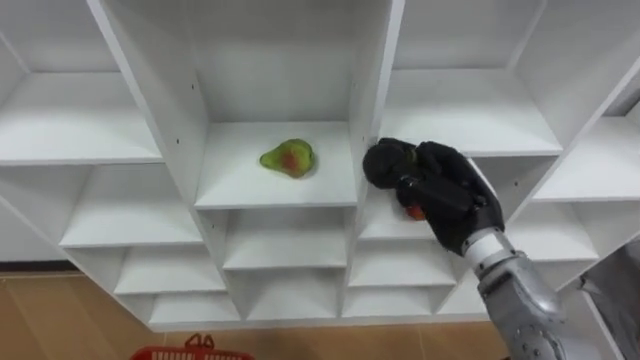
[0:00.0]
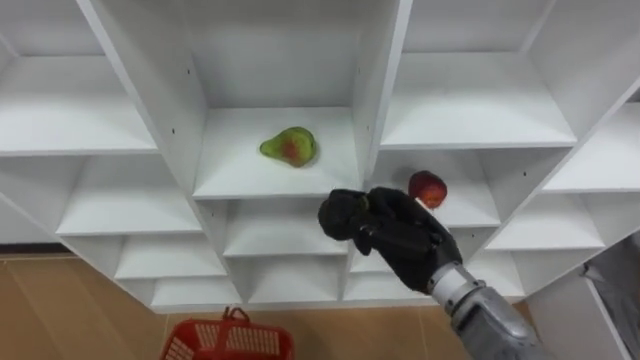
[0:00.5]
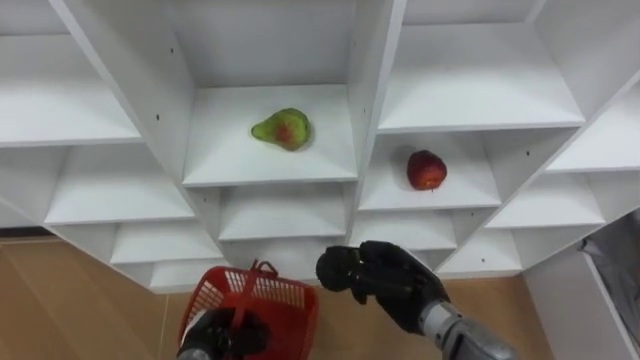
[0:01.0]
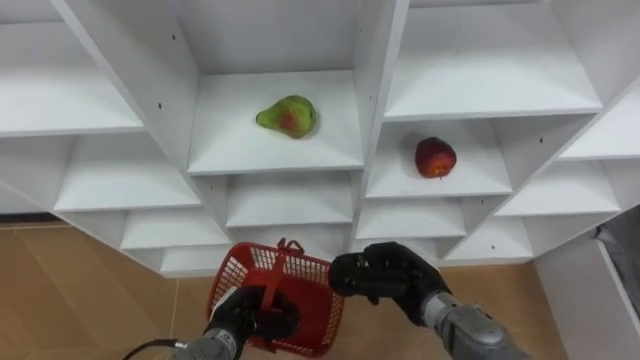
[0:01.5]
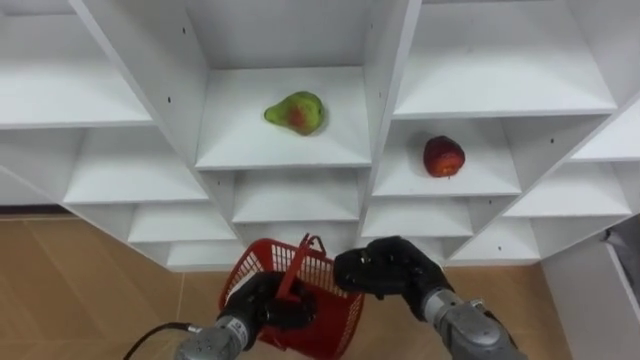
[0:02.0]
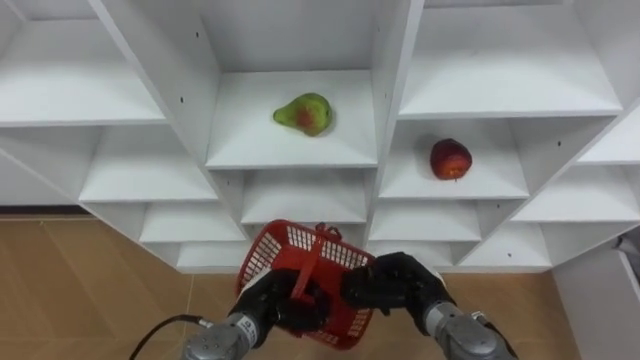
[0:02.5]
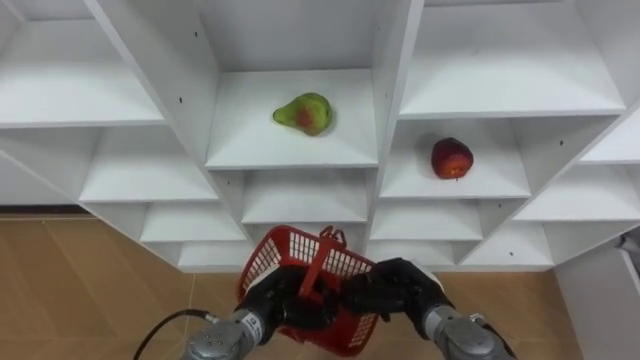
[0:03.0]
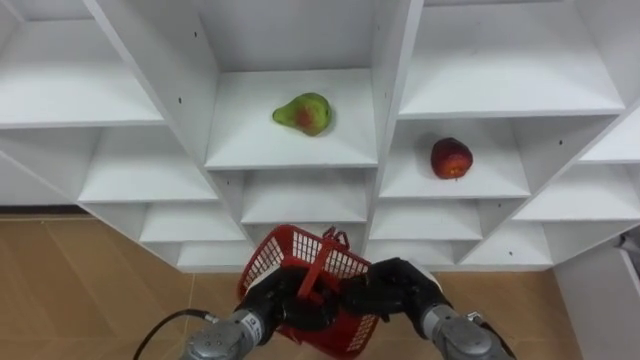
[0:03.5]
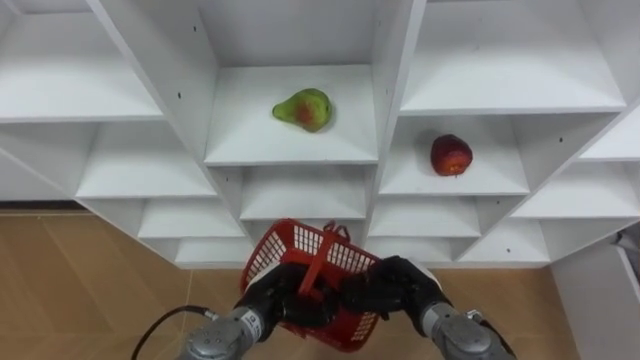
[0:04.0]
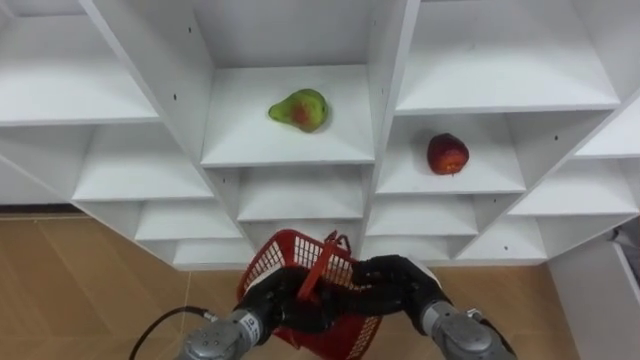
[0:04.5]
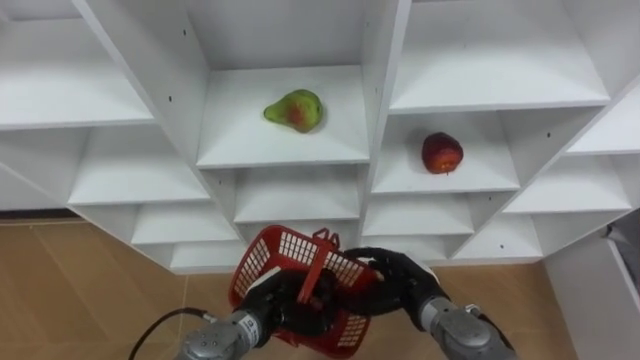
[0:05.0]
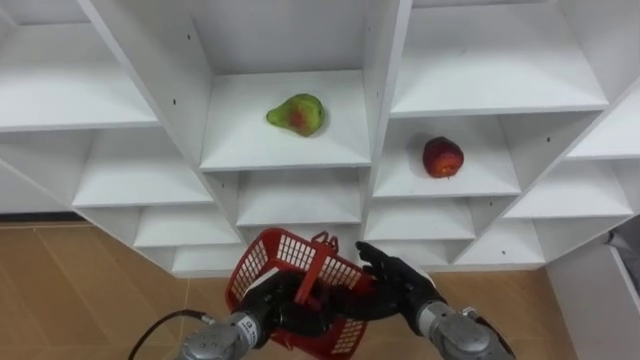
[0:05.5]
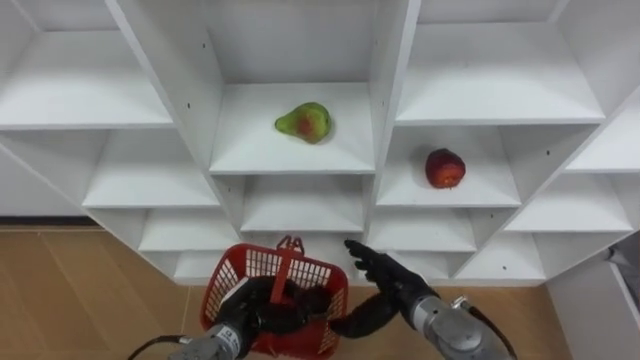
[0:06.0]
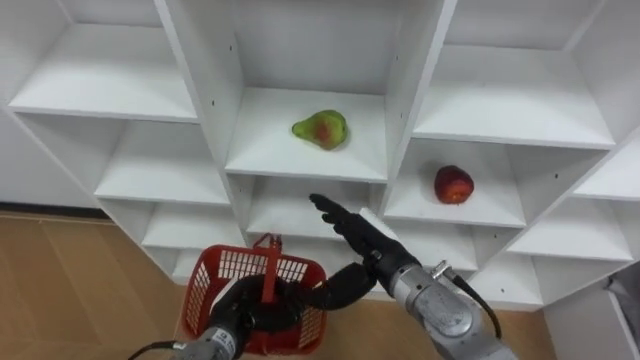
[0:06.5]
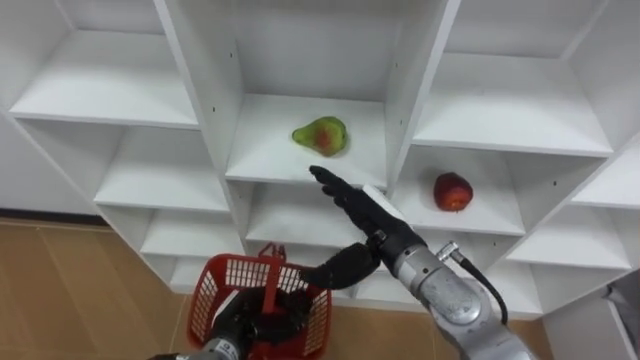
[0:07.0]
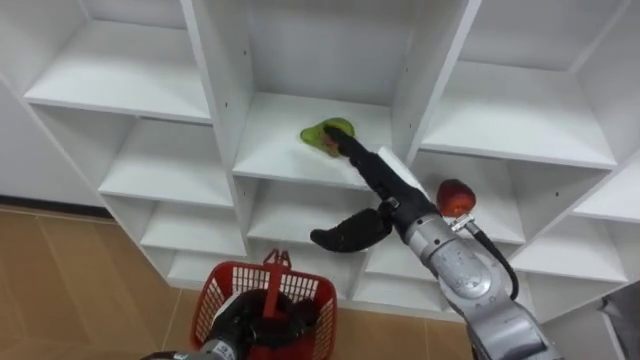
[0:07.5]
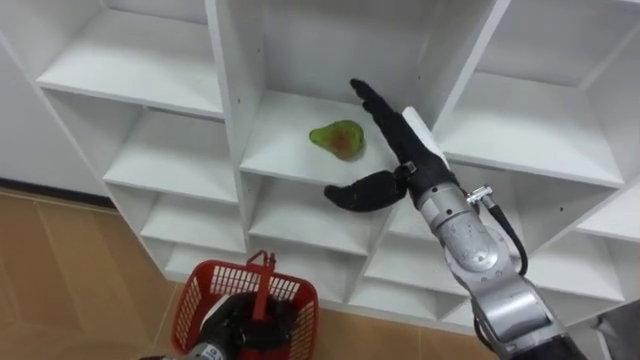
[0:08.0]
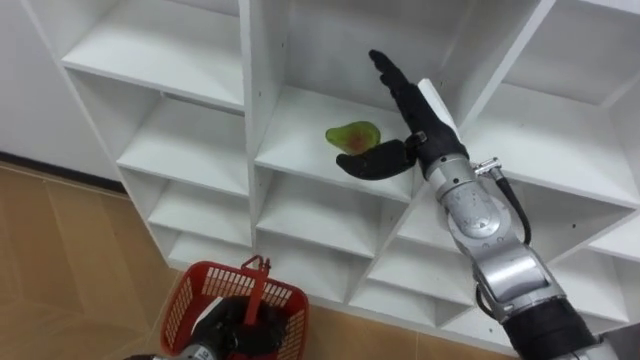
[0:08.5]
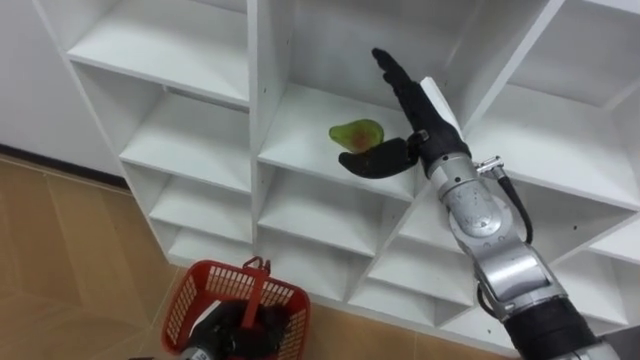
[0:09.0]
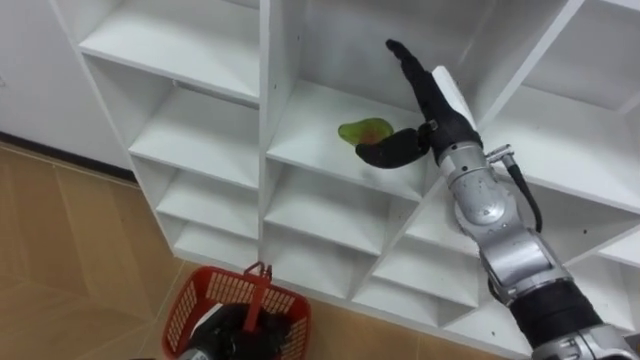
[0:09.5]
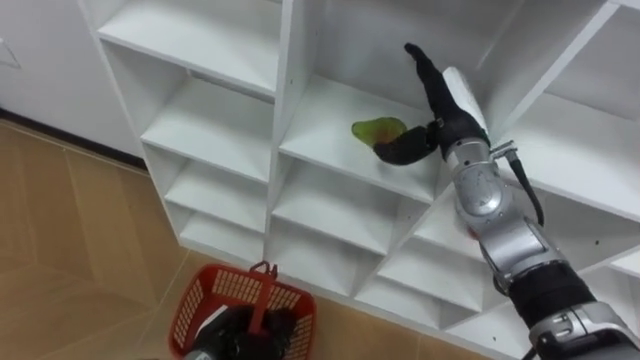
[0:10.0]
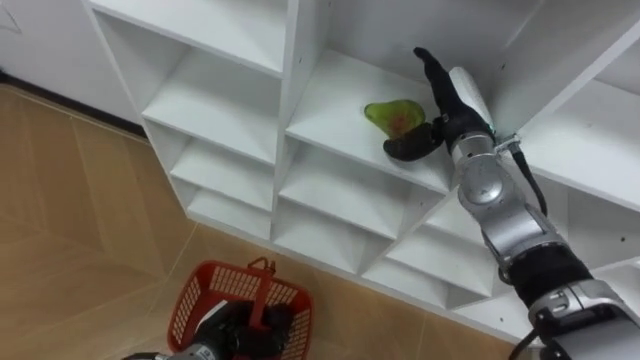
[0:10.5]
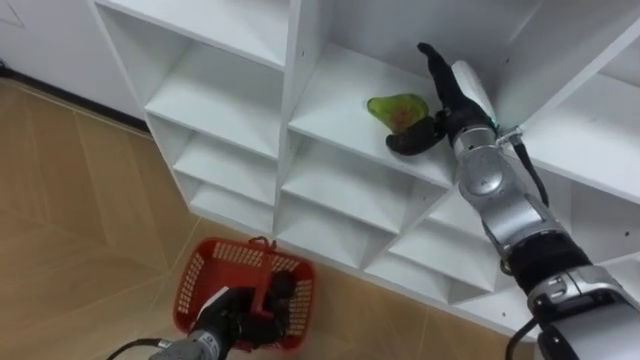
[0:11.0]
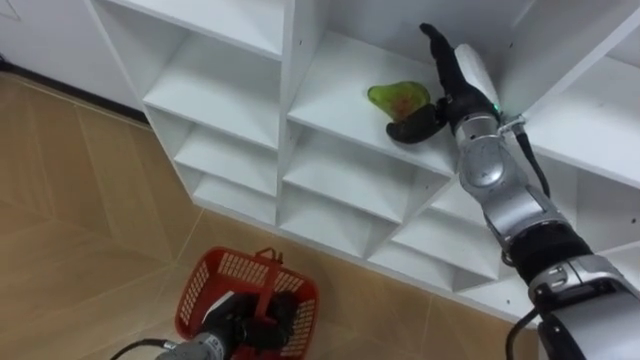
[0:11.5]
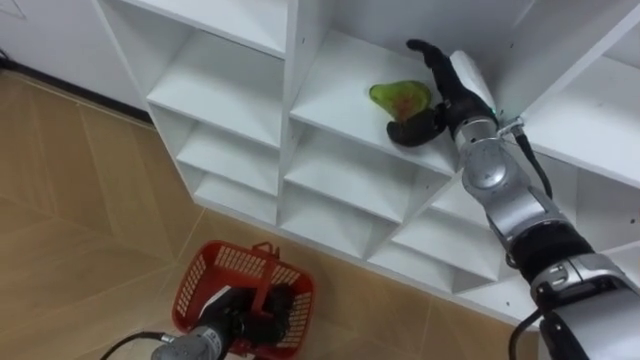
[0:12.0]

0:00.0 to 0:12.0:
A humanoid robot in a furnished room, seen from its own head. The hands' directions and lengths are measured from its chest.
Task of the whole recording: Hold the basket and collect the fruits from 3 different cells of the closet into it.
0:00.0 to 0:02.0: The right hand travels downward by some 15 cm.
0:02.0 to 0:04.0: The hands move only a little.
0:04.0 to 0:06.0: The right hand opens its fingers.
0:06.0 to 0:08.0: The right hand is displaced upward and forward by about 20 cm.
0:08.0 to 0:10.0: The right hand is displaced forward by roughly 5 cm.

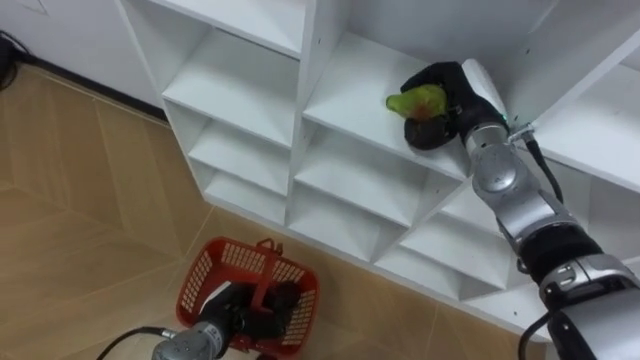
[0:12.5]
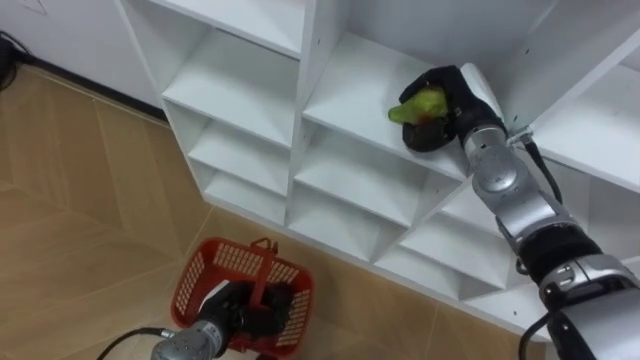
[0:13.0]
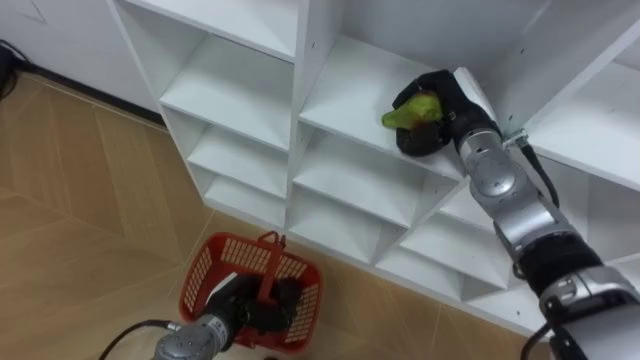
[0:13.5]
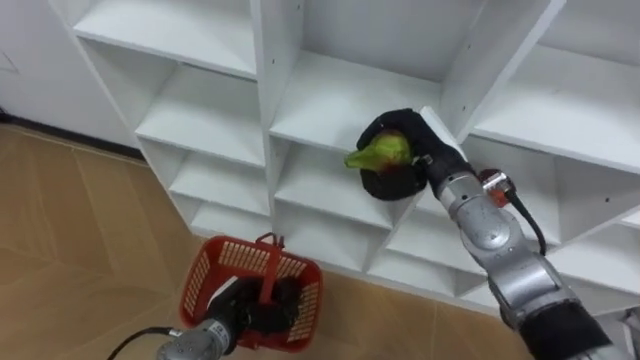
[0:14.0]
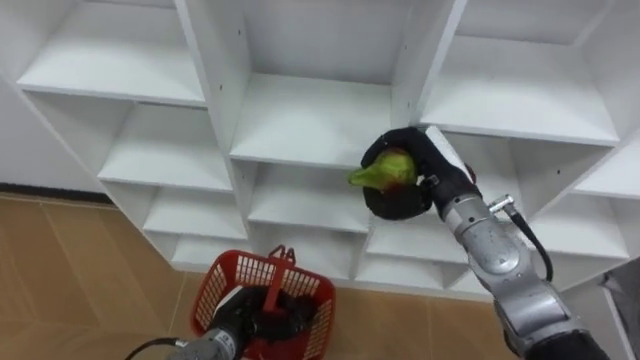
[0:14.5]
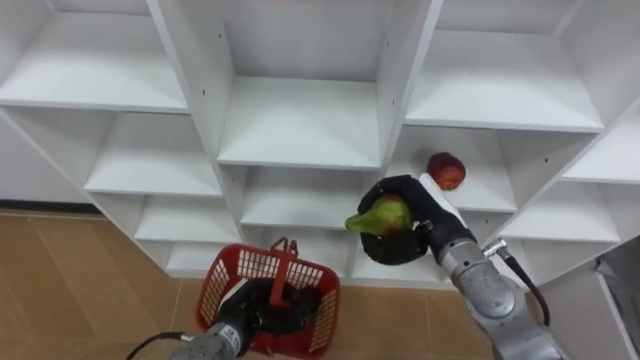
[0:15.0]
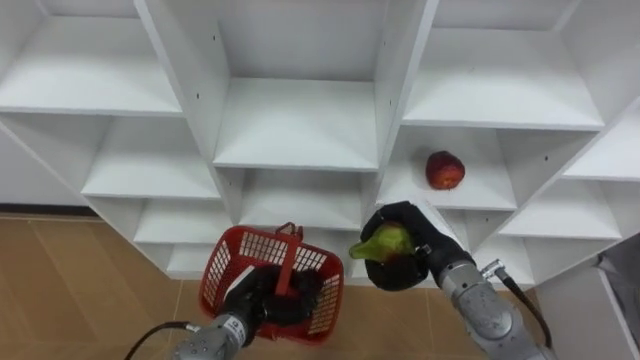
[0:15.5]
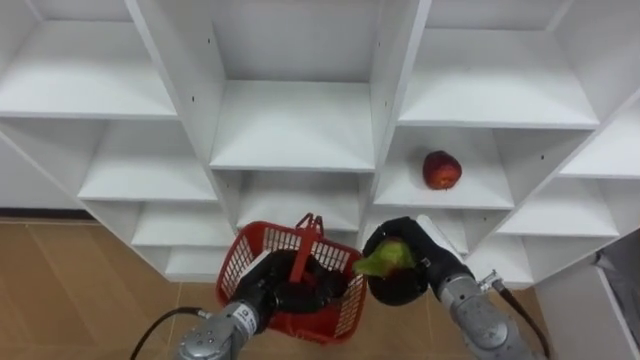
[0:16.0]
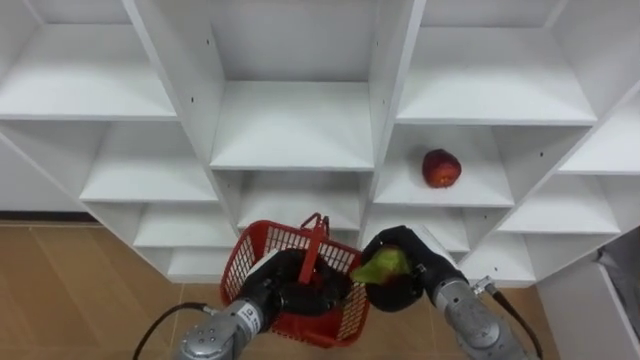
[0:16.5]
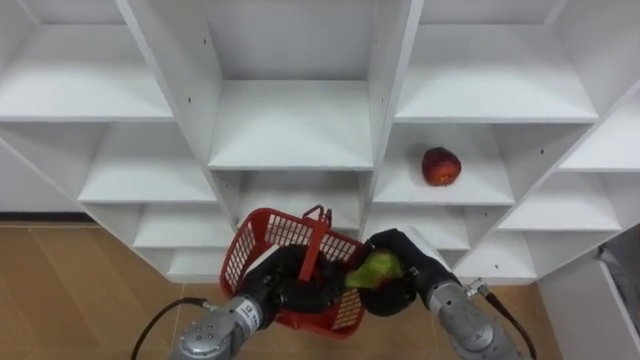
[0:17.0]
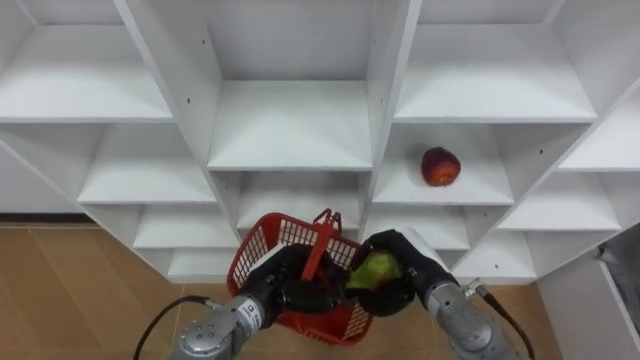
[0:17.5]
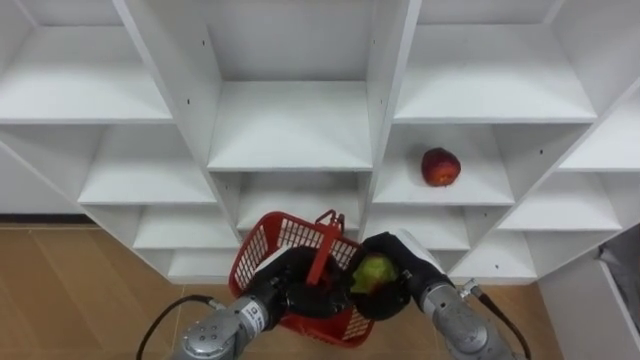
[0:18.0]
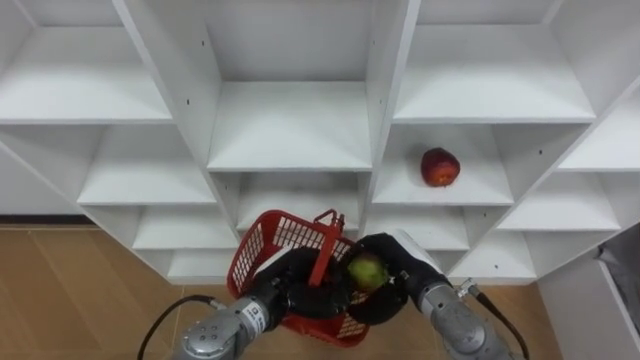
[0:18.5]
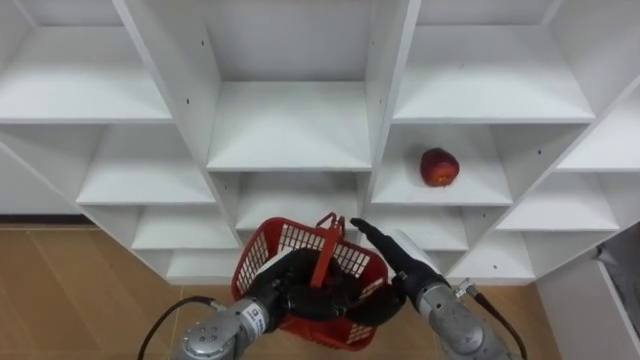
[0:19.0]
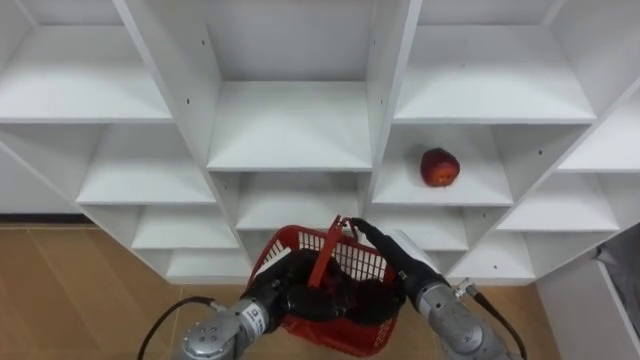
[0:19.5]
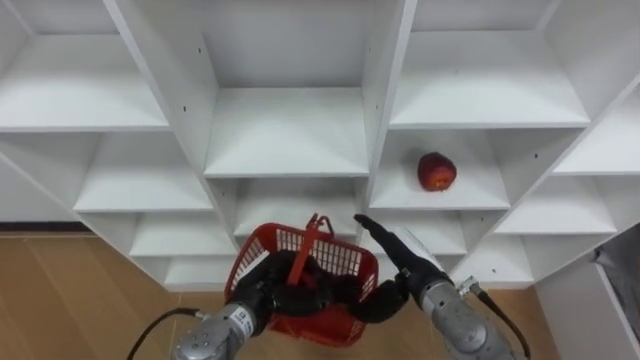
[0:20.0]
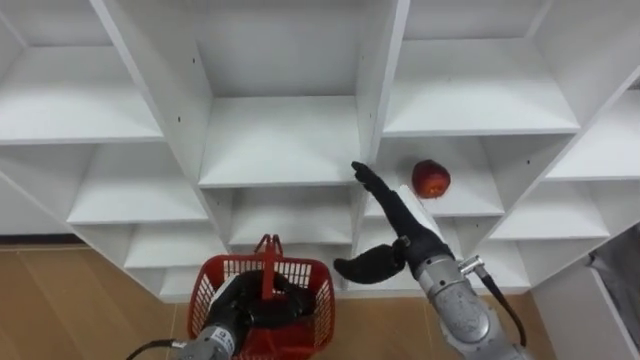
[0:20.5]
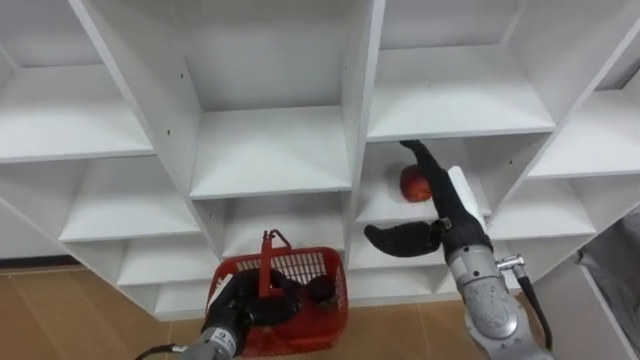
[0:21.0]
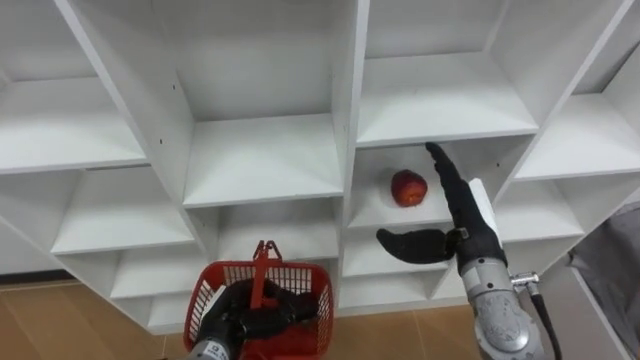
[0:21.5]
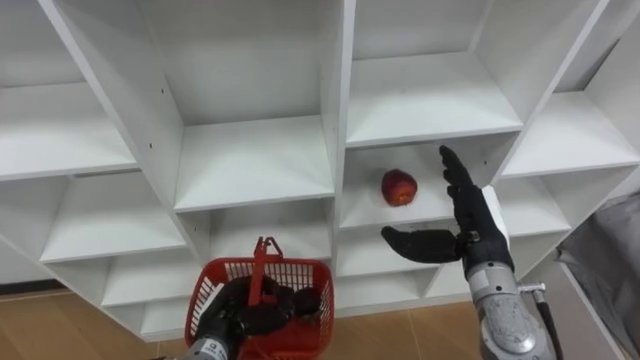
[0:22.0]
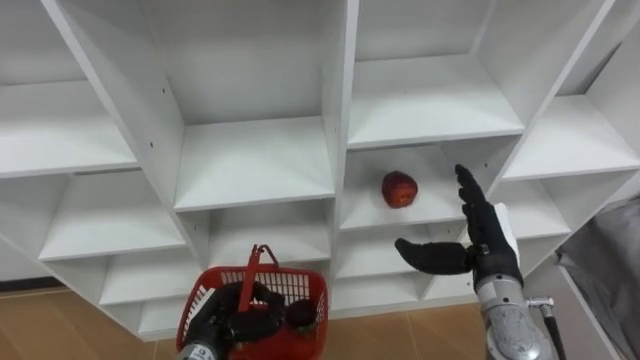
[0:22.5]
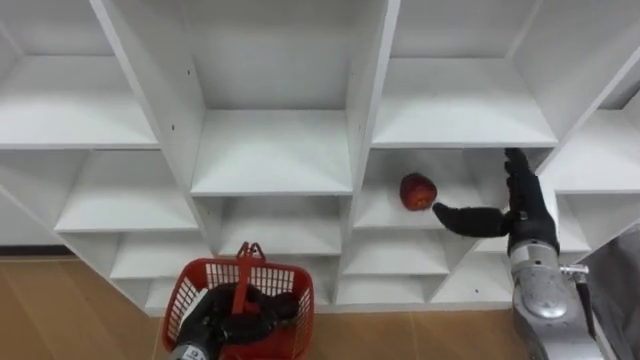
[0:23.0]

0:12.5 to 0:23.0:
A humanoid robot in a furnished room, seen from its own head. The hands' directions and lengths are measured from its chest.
Task of the whole recording: Hold the basket and collect the fruits from 3 different cells of the closet into it.
0:12.5 to 0:14.5: The right hand is displaced backward by some 10 cm.
0:14.5 to 0:16.5: The left hand moves upward, approximately 5 cm, while the right hand goes about 15 cm downward and backward.
0:16.5 to 0:19.0: The right hand opens its fingers.
0:19.0 to 0:21.0: The left hand goes about 5 cm to the left; the right hand travels upward by approximately 10 cm.
0:21.0 to 0:23.0: The right hand goes roughly 10 cm to the right.
